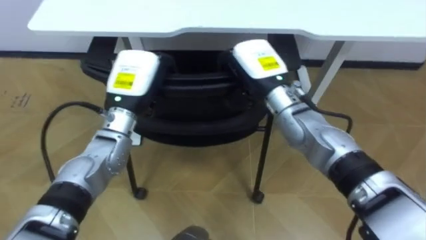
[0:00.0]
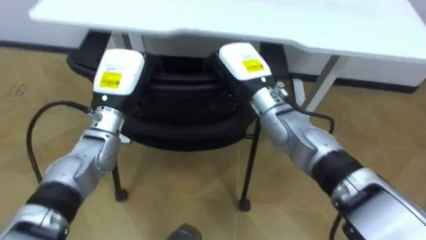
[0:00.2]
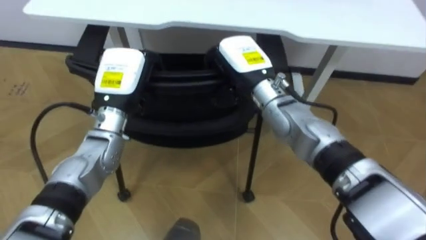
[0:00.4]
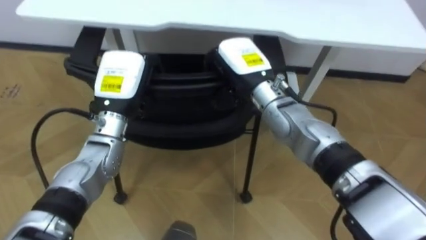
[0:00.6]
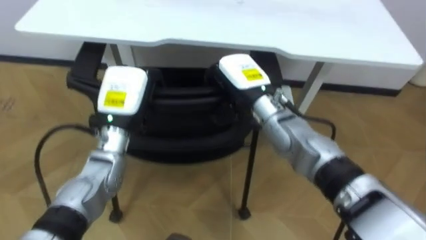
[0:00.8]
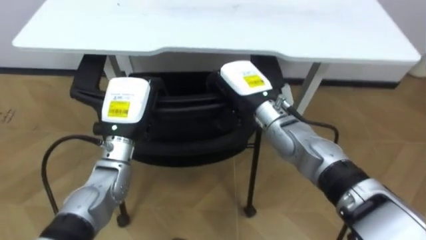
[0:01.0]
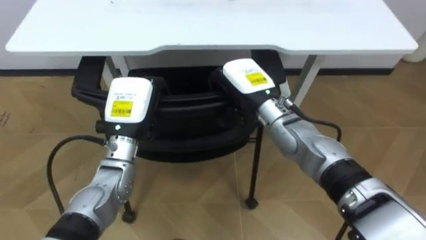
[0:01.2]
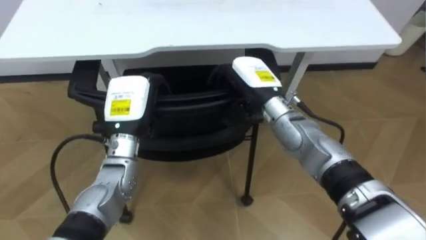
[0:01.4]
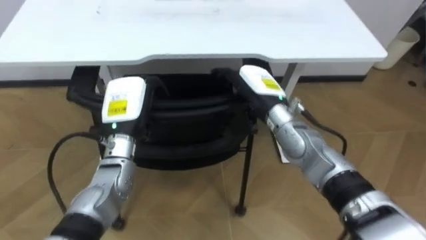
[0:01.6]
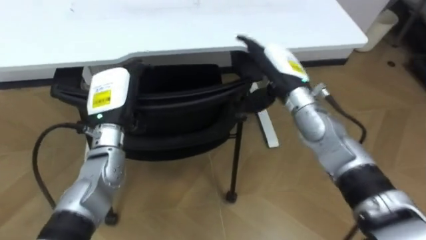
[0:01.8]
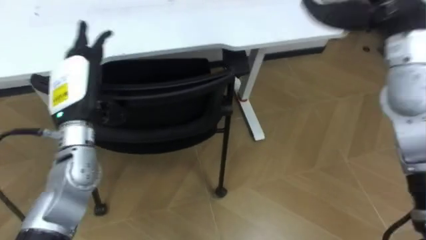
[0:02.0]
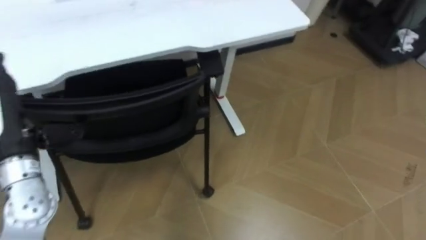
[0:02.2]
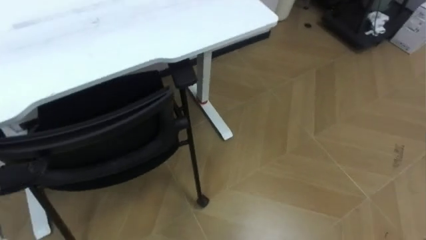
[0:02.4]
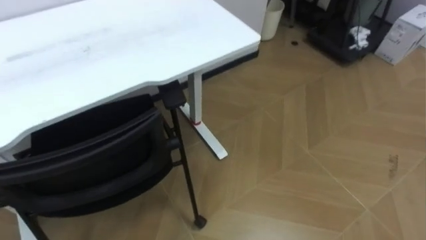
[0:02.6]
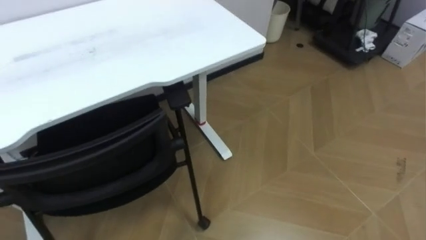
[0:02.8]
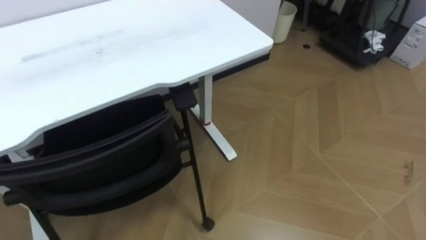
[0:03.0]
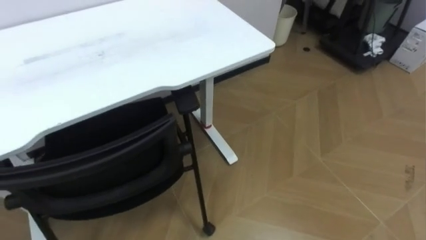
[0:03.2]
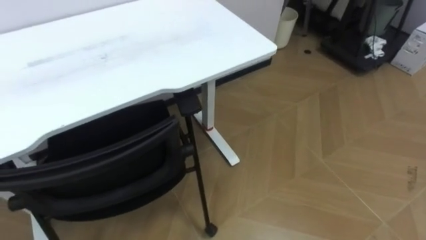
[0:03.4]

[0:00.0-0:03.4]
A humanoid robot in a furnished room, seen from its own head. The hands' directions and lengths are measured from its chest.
Task of the whole recording: Push the chair under the table.
0:00.0 to 0:01.6: The left hand moves approximately 5 cm, and opens up. The right hand opens.

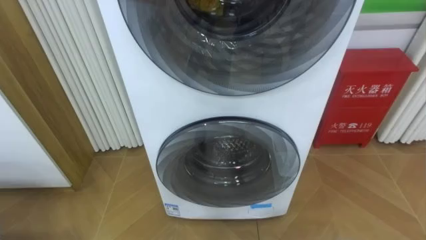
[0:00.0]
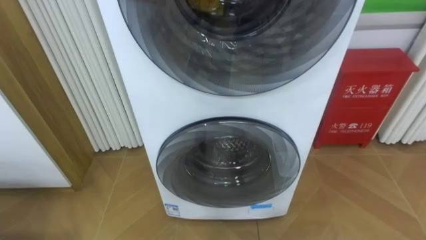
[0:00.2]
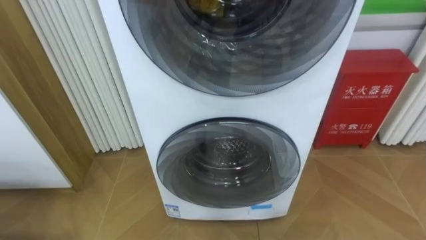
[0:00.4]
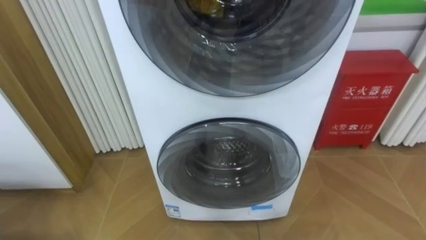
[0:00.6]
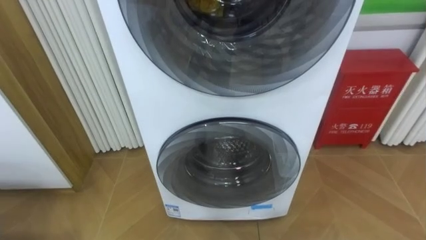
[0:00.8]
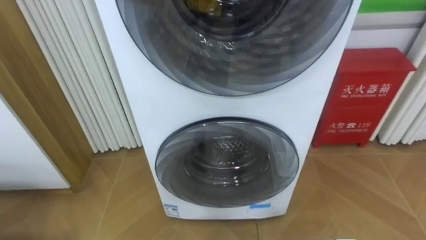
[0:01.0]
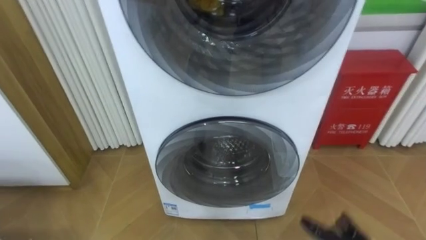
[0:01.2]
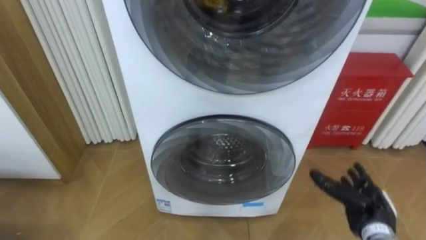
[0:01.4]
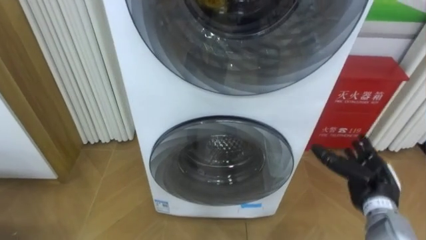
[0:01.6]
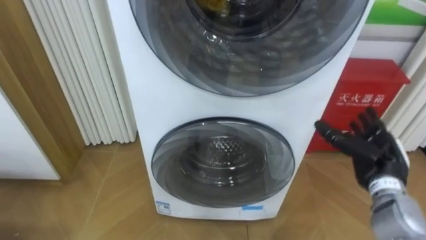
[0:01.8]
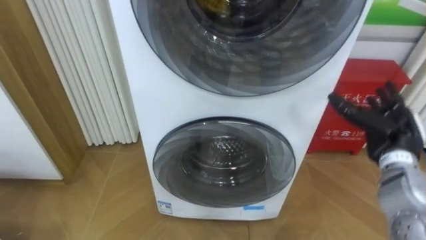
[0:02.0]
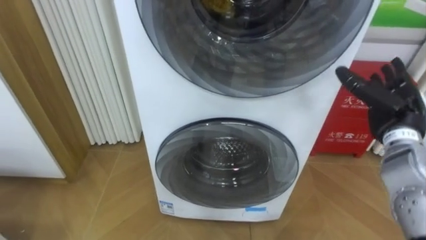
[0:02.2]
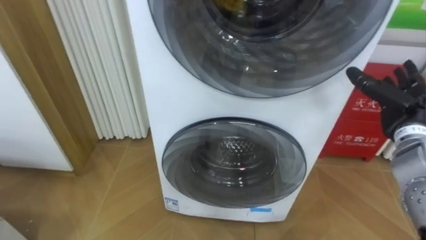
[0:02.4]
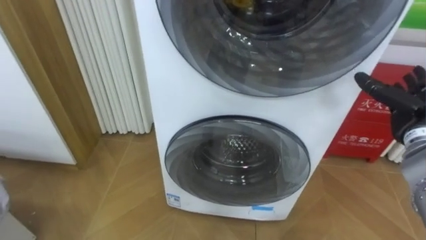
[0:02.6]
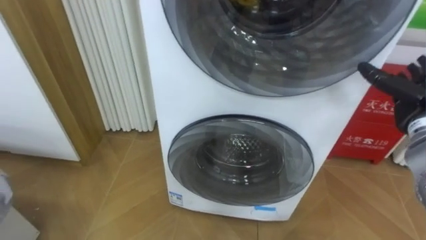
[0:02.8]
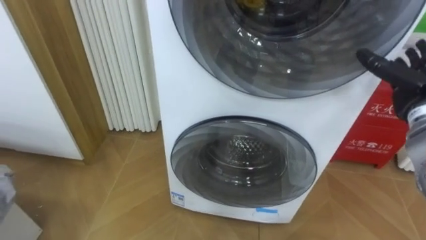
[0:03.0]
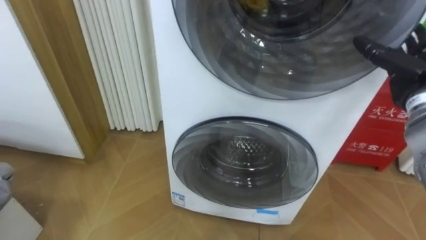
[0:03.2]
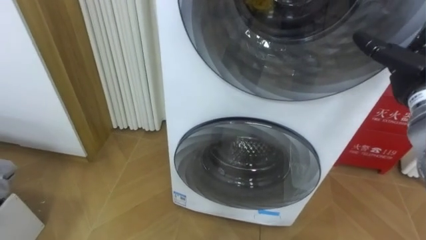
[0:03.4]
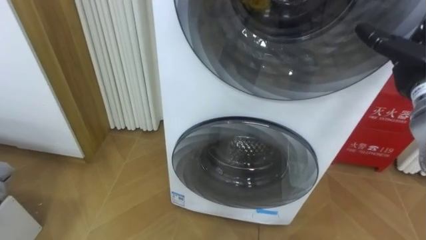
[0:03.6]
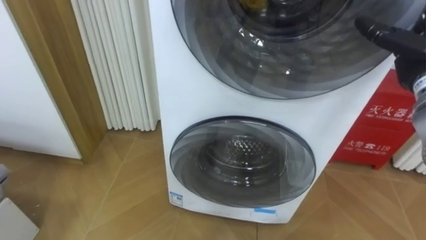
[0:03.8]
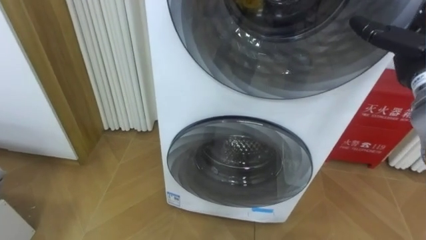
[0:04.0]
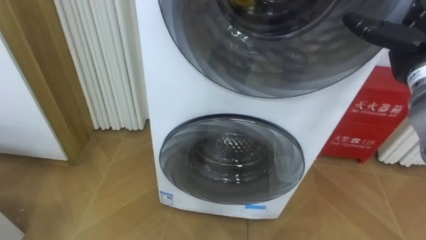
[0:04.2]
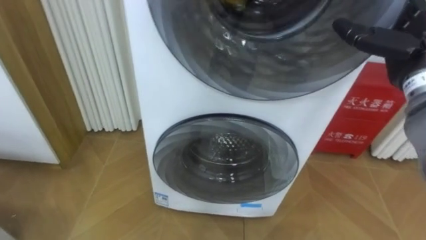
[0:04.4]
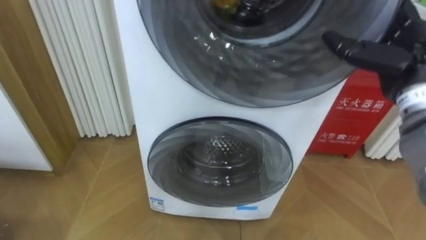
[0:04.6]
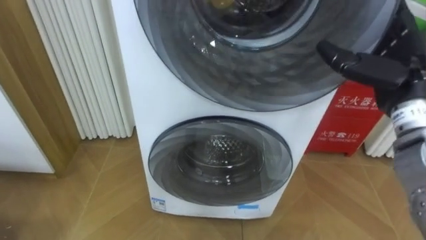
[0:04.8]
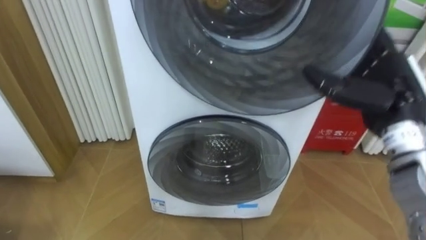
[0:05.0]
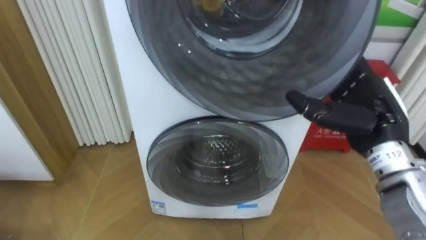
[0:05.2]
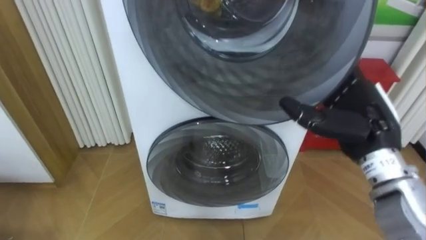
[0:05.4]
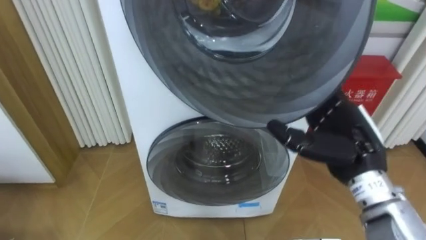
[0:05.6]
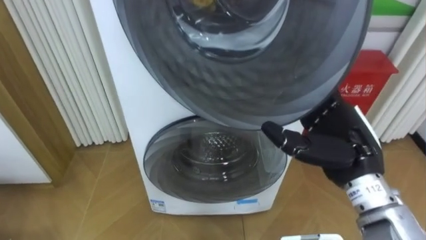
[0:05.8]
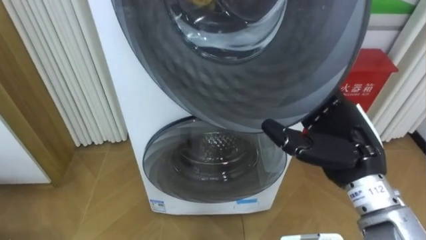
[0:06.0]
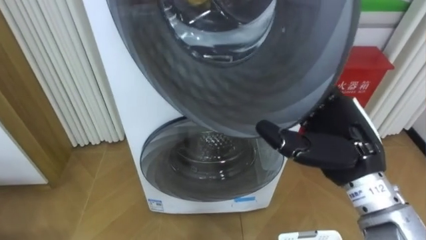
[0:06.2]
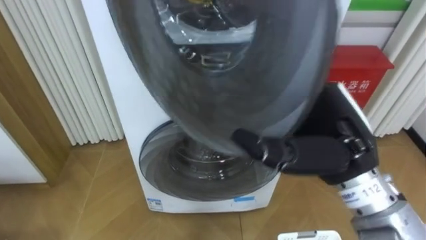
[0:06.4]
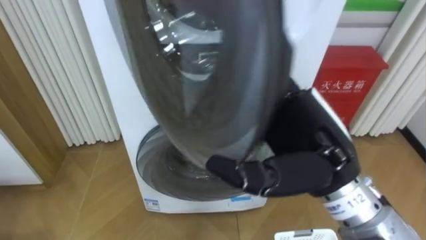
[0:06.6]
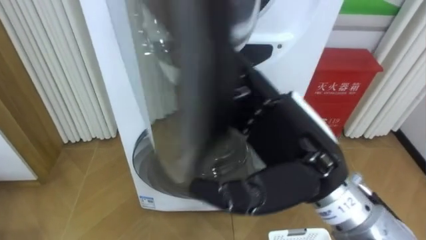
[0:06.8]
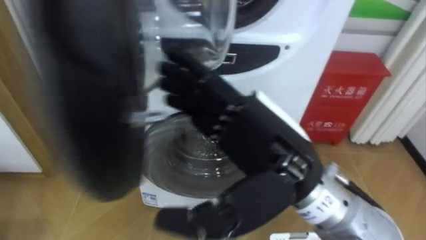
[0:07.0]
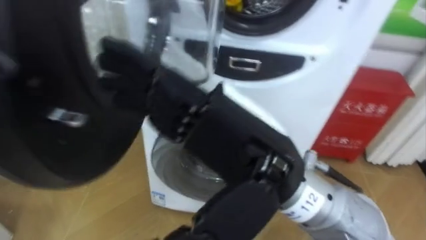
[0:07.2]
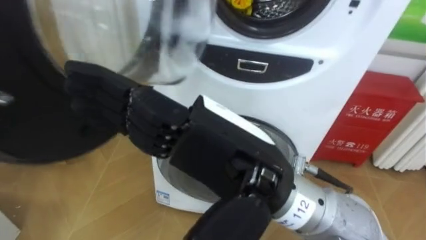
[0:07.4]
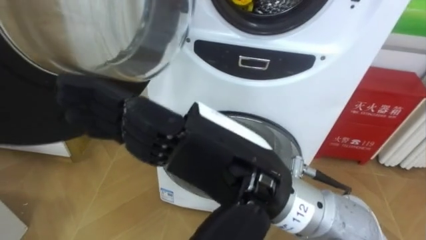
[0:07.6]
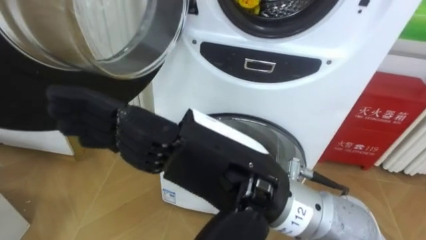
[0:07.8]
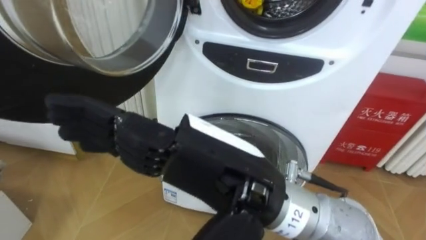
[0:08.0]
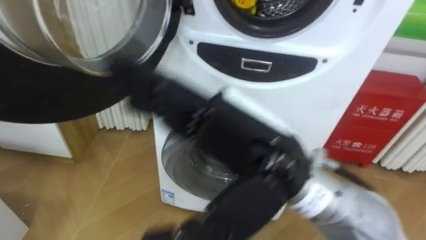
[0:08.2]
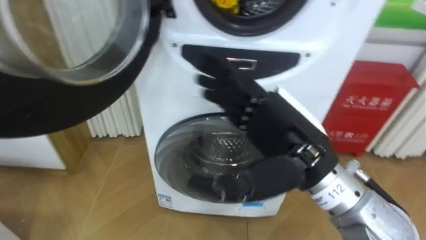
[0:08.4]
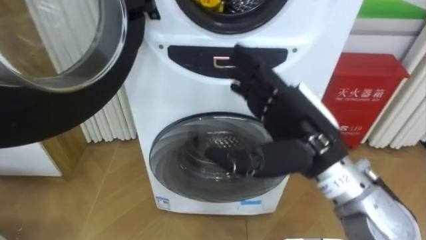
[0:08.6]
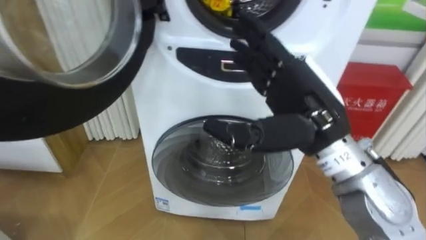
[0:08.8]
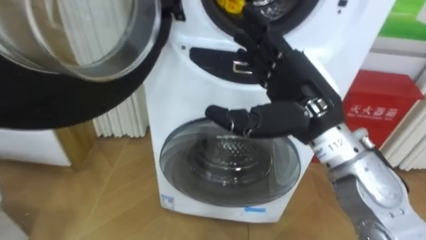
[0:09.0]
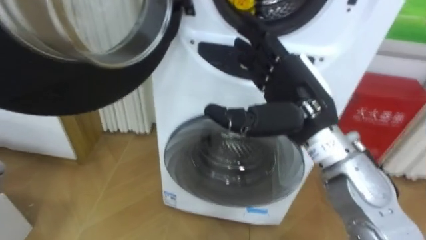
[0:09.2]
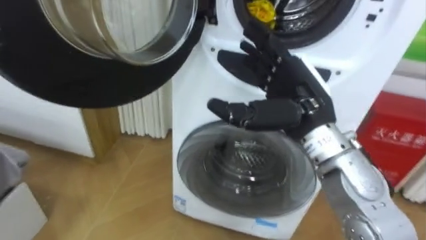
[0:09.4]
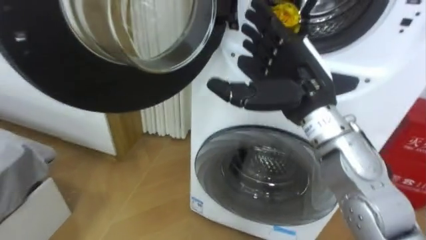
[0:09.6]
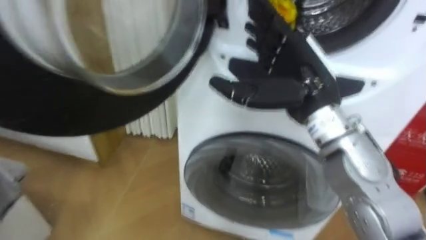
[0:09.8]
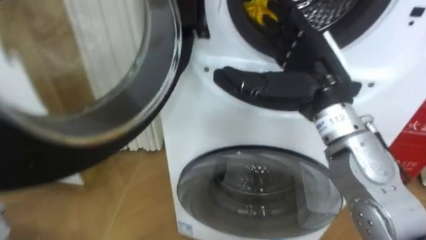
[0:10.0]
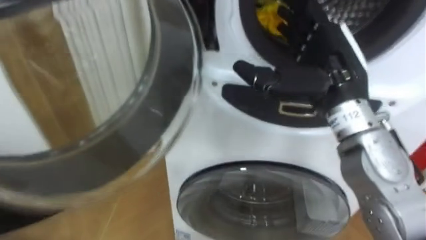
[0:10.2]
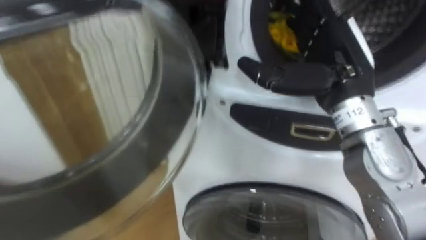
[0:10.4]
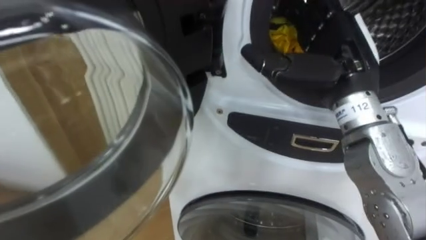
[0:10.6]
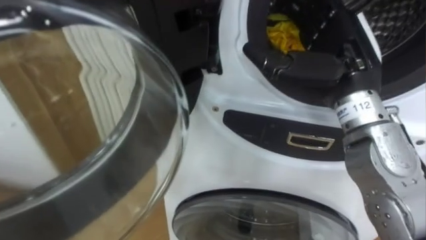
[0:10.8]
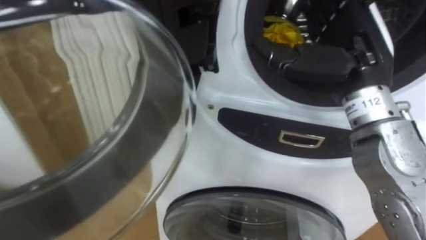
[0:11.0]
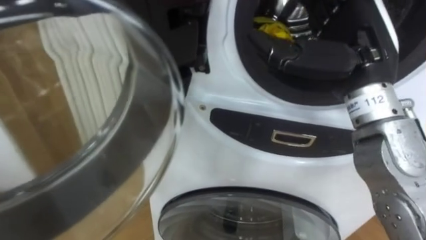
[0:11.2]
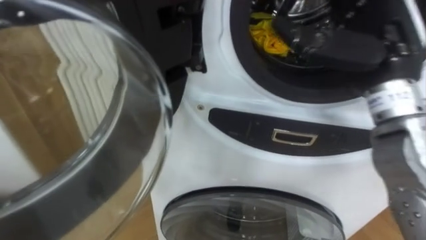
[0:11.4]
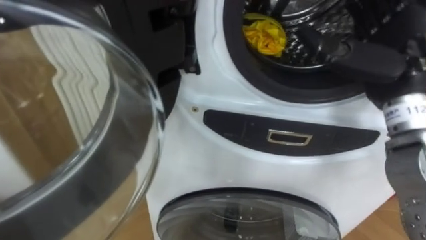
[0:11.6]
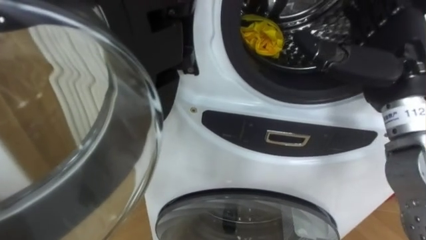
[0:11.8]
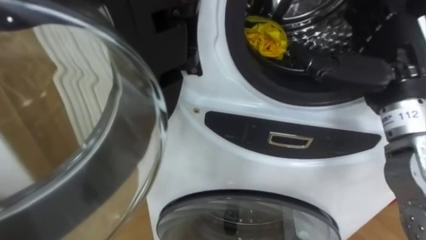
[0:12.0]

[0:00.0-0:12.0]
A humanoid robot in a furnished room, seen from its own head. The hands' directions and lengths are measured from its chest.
Task of the whole recording: Open the washing machine door, take out the yellow clothes, place them in the box on the right, and close the washing machine door.
0:01.6 to 0:03.0: The right hand shifts about 15 cm upward and forward.
0:03.0 to 0:04.4: The right hand is displaced upward by approximately 10 cm.
0:04.4 to 0:06.0: The right hand moves backward, to the left and downward, approximately 15 cm.
0:06.0 to 0:07.6: The right hand travels to the left, backward and upward by some 20 cm.
0:07.6 to 0:09.0: The right hand is displaced forward and to the right by about 15 cm.
0:09.0 to 0:10.4: The right hand ends up roughly 5 cm from where it was.
0:10.4 to 0:12.0: The right hand moves to the right, some 5 cm.

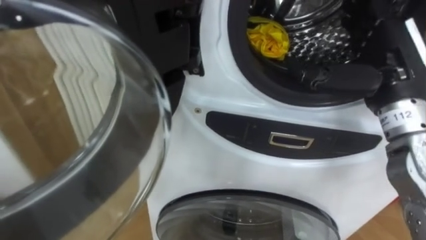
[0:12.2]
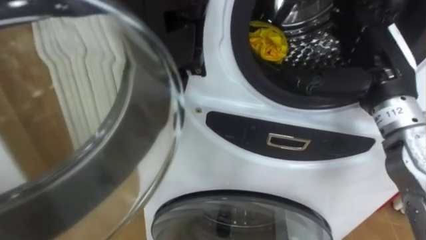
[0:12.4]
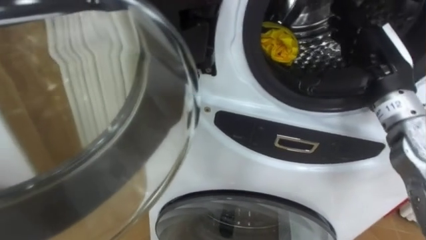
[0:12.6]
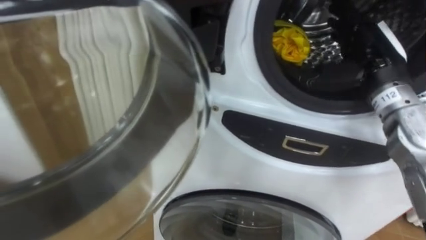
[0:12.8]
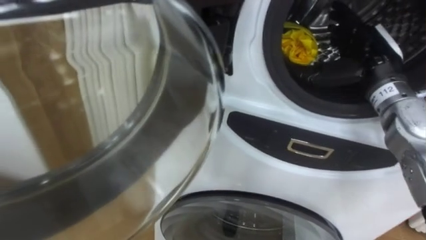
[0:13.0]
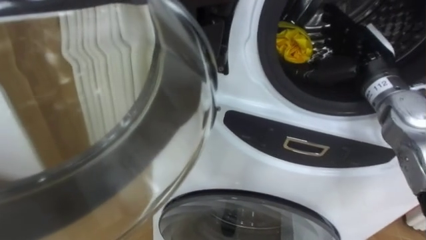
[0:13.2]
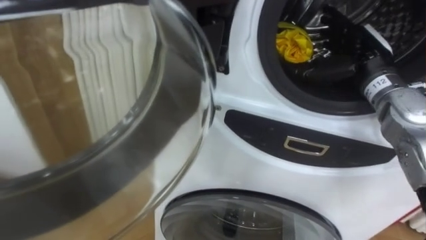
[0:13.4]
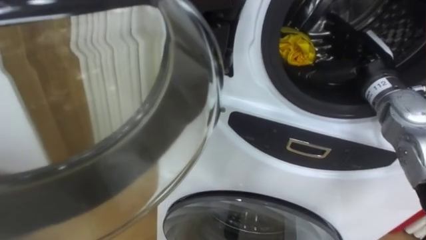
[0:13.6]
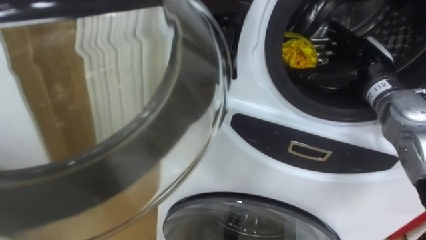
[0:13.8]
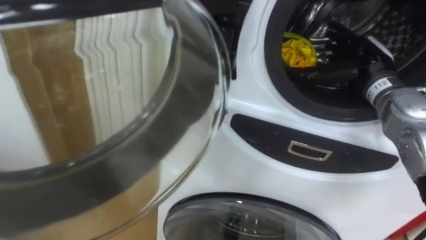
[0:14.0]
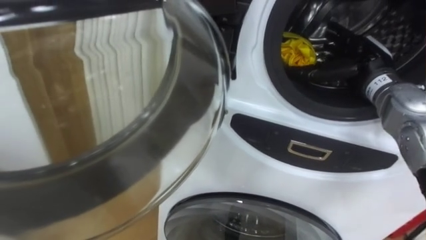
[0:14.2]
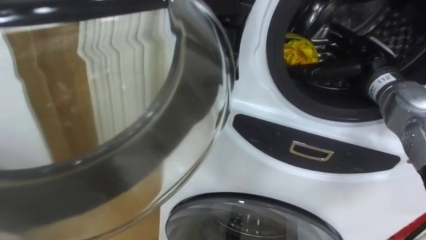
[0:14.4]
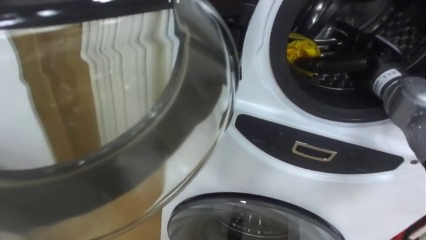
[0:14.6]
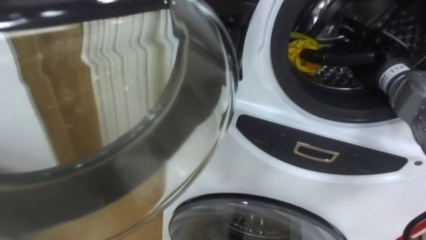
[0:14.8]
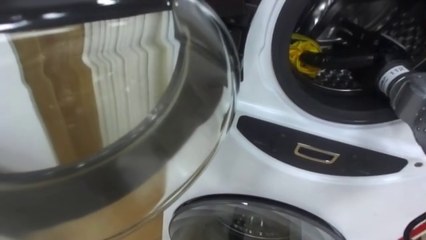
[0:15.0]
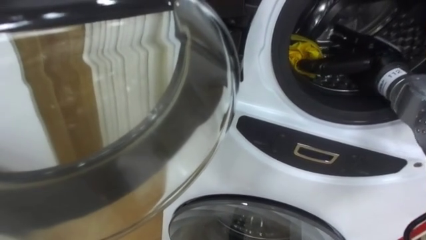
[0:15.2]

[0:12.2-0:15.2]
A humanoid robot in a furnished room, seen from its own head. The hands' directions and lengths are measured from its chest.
Task of the whole recording: Open the washing machine door, take out the yellow clothes, place them in the box on the right, and close the washing machine door.
0:12.2 to 0:13.8: The right hand moves forward and downward, approximately 10 cm.
